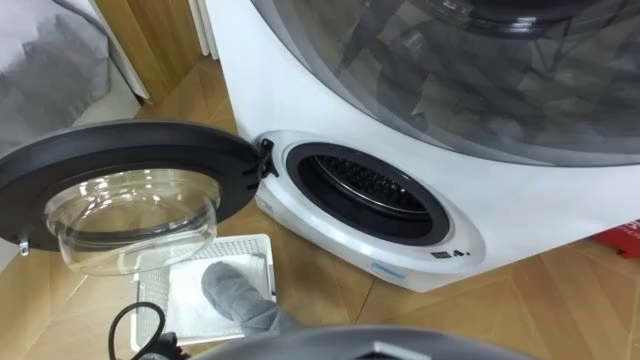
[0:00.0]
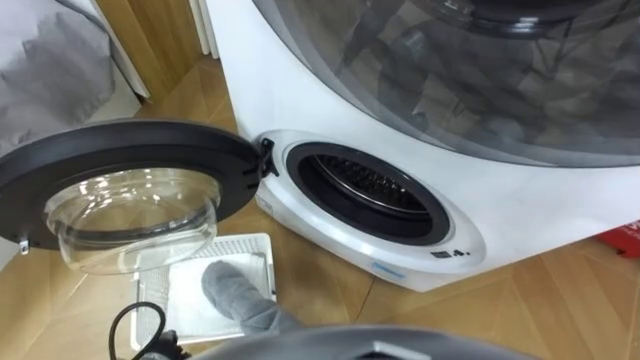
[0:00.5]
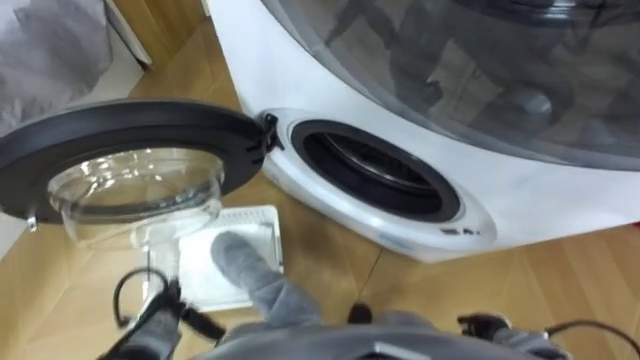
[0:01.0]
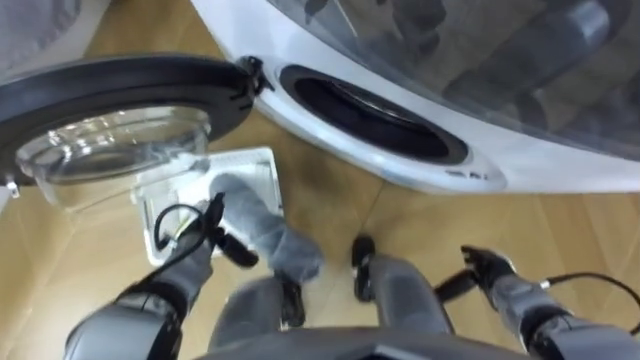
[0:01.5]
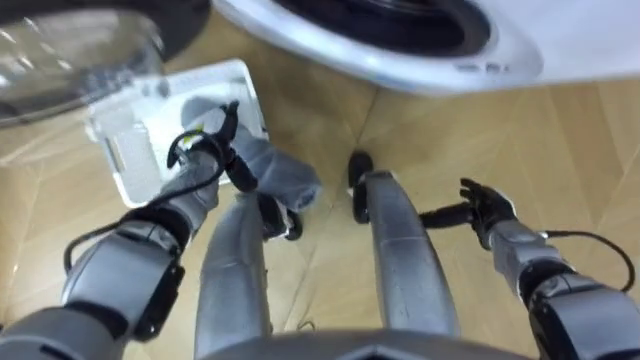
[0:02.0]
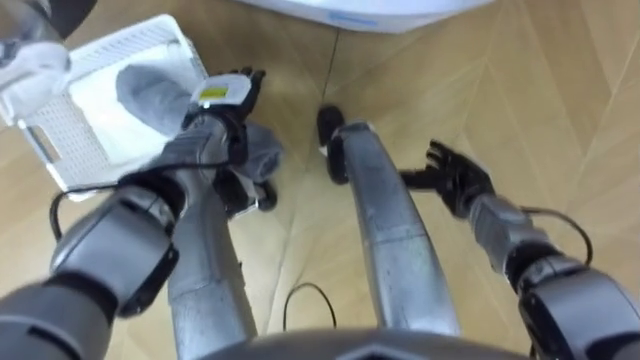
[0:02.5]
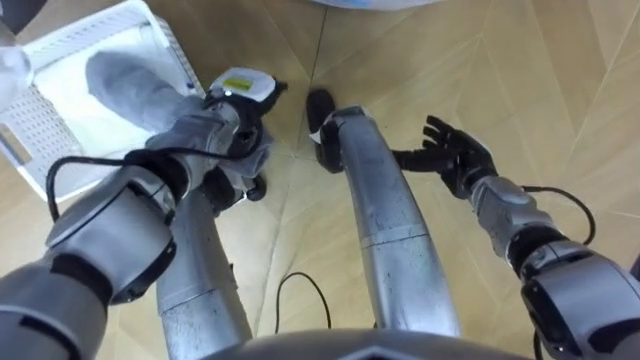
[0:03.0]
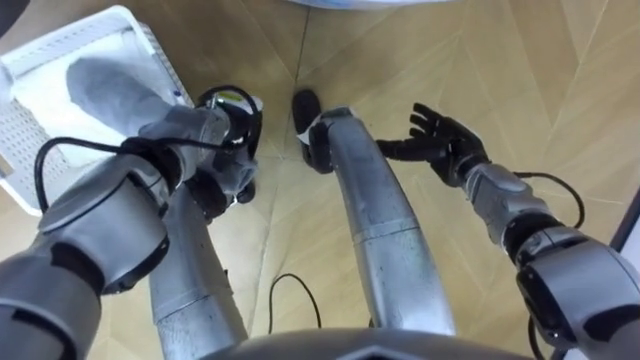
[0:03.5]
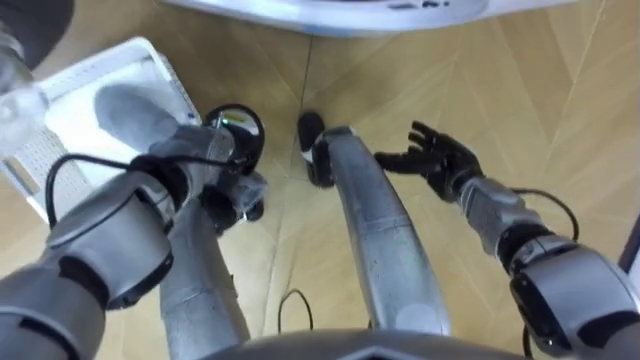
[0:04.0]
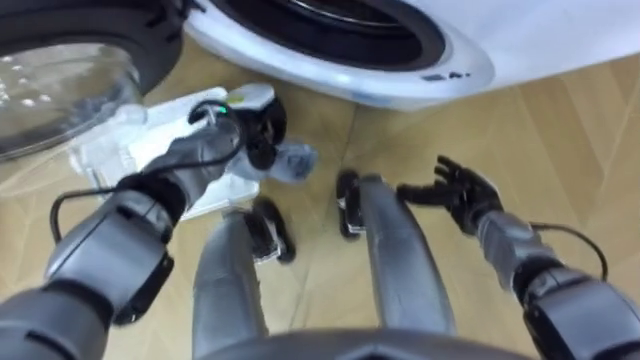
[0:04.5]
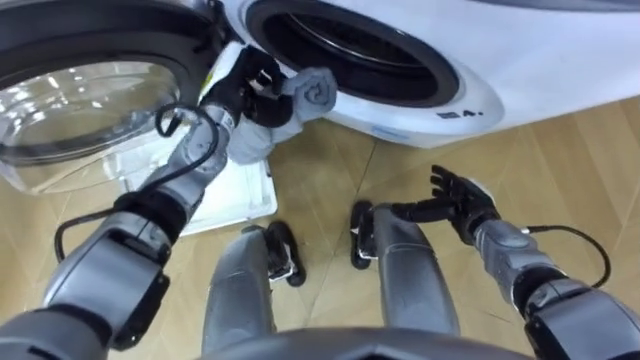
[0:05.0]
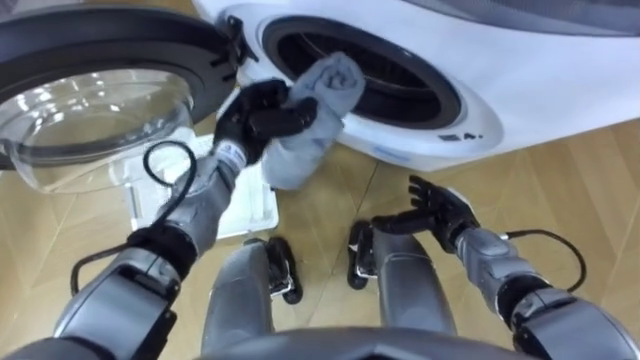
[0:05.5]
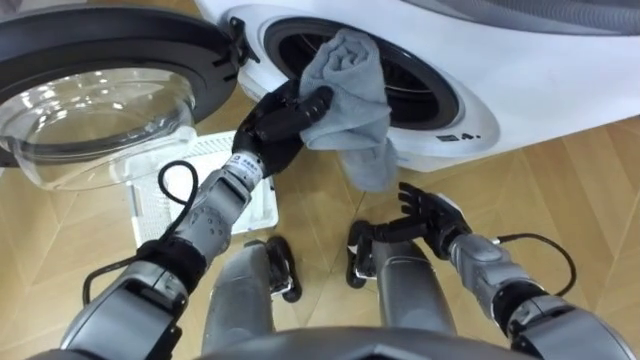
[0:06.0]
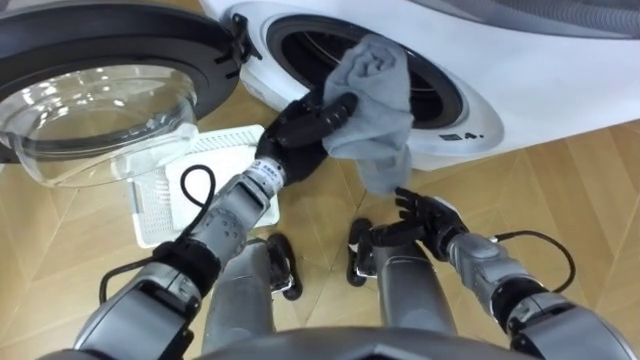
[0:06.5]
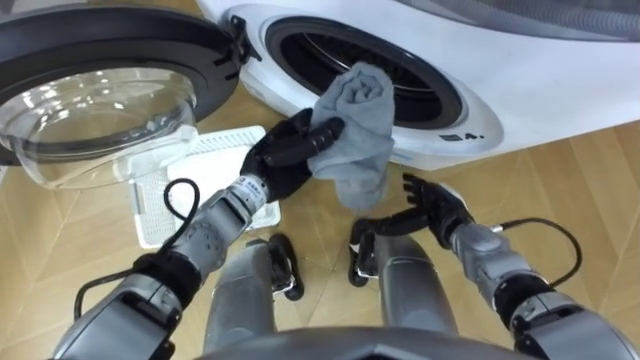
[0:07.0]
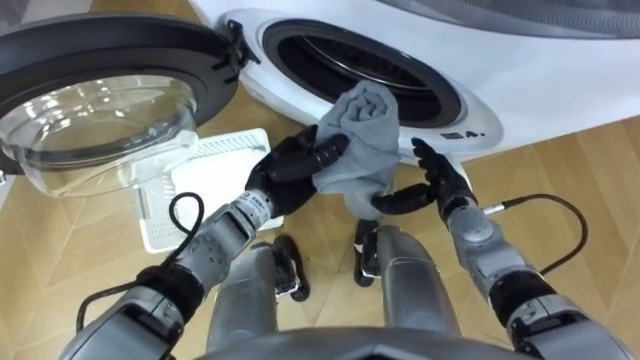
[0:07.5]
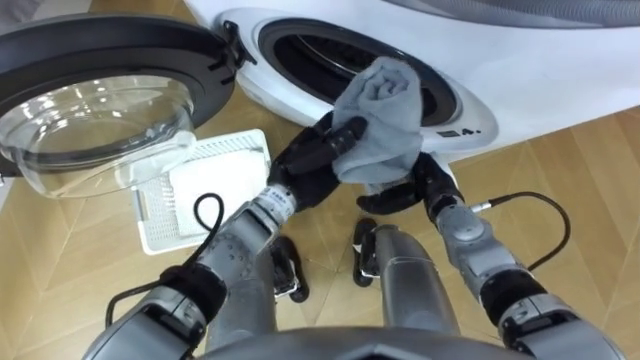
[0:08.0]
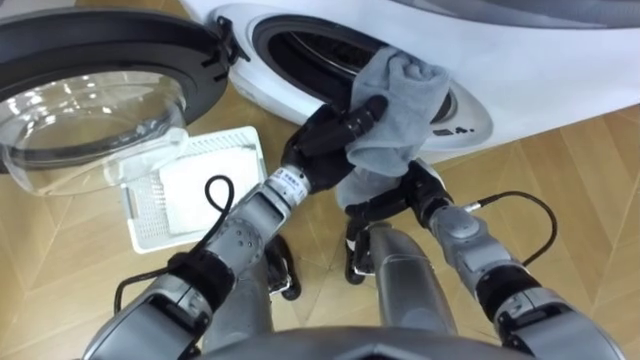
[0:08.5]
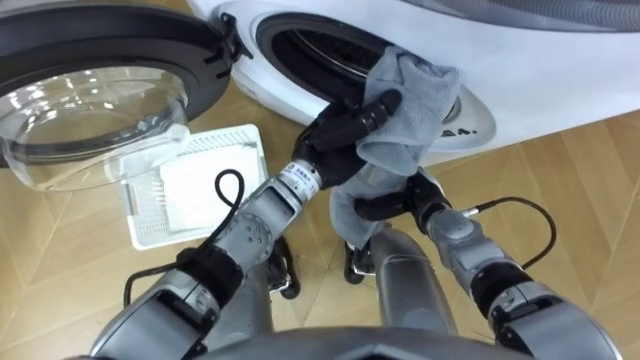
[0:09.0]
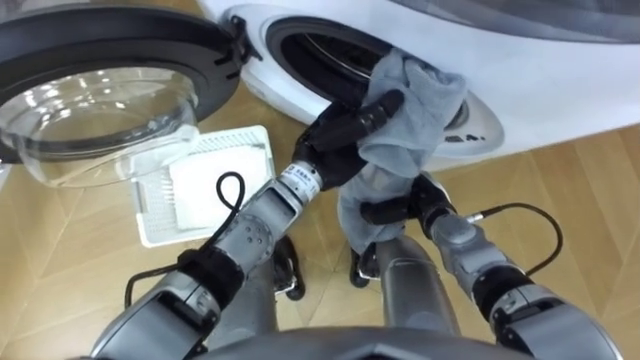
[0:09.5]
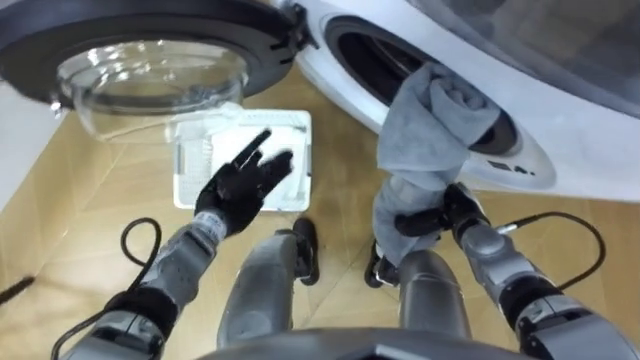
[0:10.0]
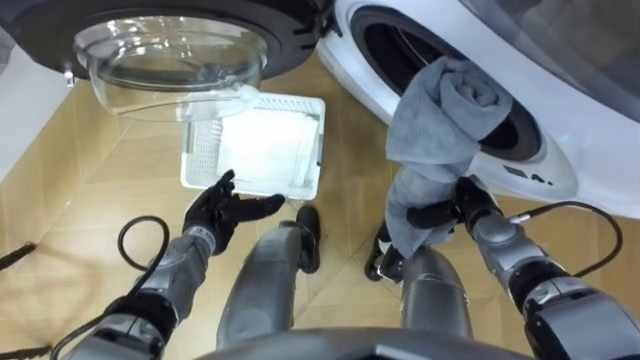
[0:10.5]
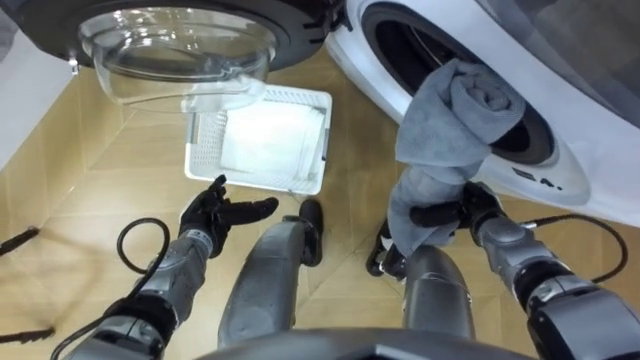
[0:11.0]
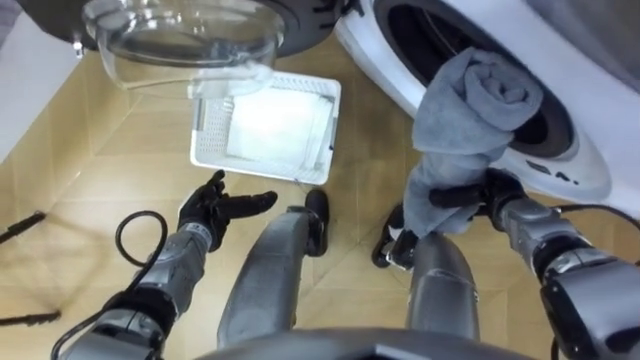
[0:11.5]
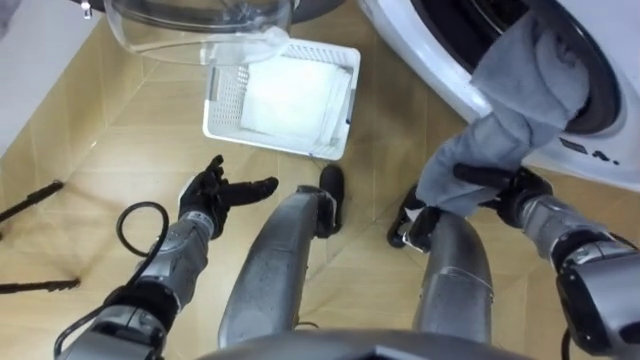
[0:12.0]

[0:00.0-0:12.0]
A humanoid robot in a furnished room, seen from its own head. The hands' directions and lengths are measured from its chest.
Task of the whole recording: Take the towel from the basket and put it into the washing machine.
0:02.0 to 0:04.0: The right hand heads to the left and forward, covering about 10 cm, while the left hand closes its fingers.
0:04.0 to 0:06.0: The right hand shifts roughly 10 cm backward, while the left hand goes roughly 10 cm to the right and upward.
0:06.0 to 0:08.0: The right hand ends up about 5 cm from where it was; the left hand shifts by about 5 cm.
0:08.0 to 0:10.0: The right hand ends up approximately 5 cm from where it was, and closes its fingers. Meanwhile the left hand moves to the left and downward, roughly 15 cm, and opens its fingers.
0:10.0 to 0:12.0: The right hand travels to the right by roughly 10 cm; the left hand shifts by roughly 5 cm.

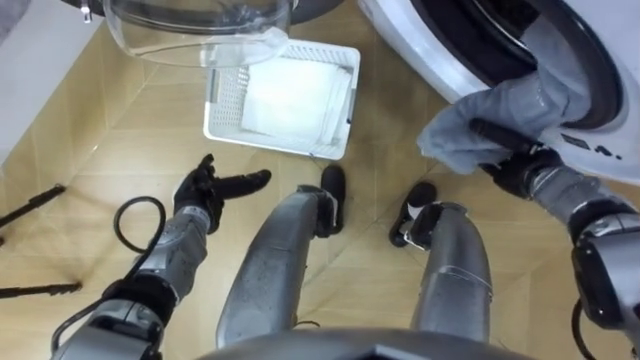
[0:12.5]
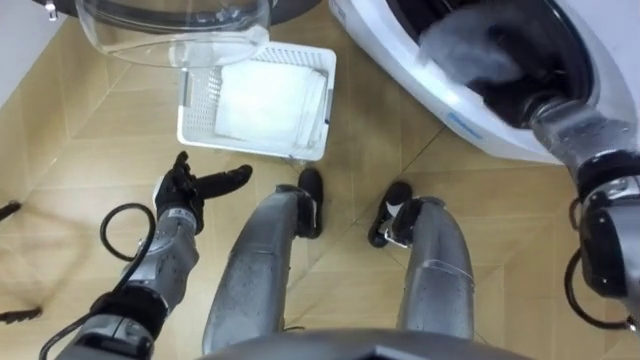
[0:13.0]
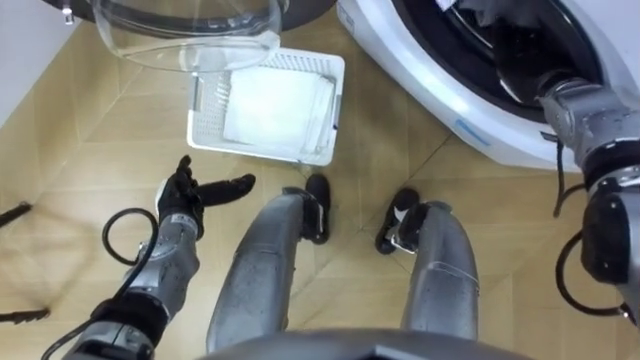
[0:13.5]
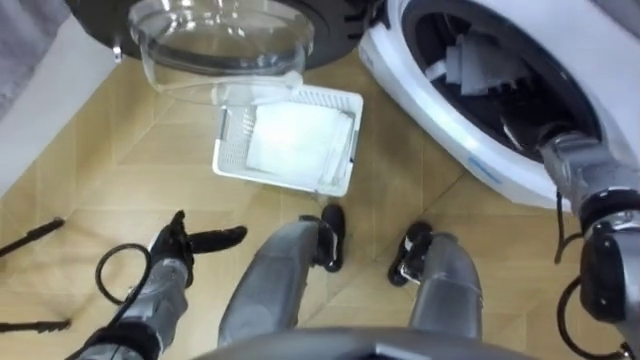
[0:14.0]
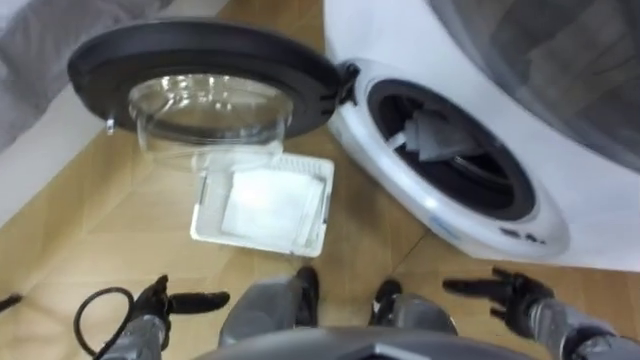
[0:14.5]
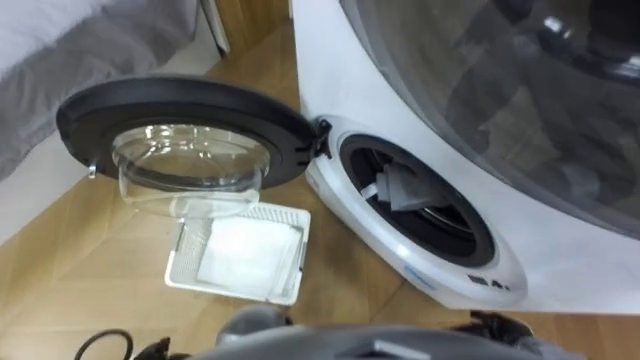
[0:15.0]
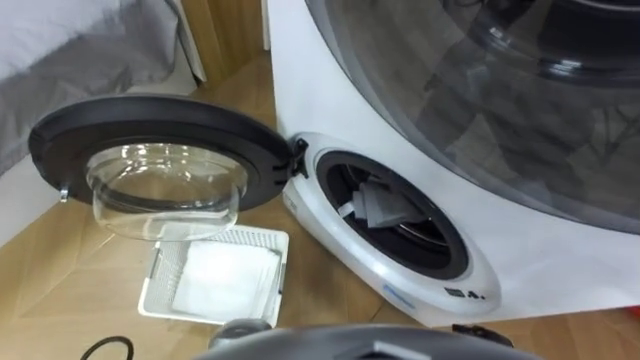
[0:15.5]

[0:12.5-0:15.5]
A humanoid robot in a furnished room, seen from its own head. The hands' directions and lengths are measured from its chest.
Task of the whole recording: Take the towel from the basket and put it into the washing machine.
0:12.5 to 0:14.0: The left hand goes some 5 cm backward. The right hand is displaced upward and forward by roughly 10 cm, and opens its fingers.
0:14.0 to 0:15.5: The right hand travels backward and downward by about 35 cm.

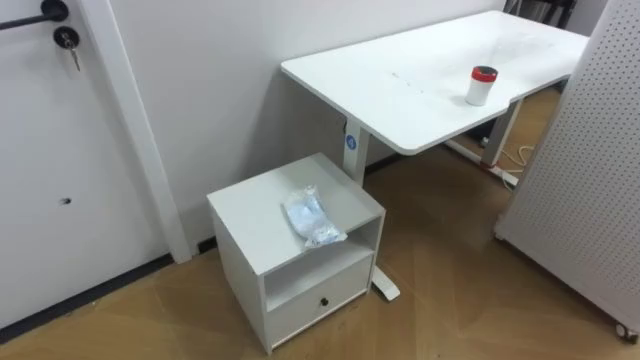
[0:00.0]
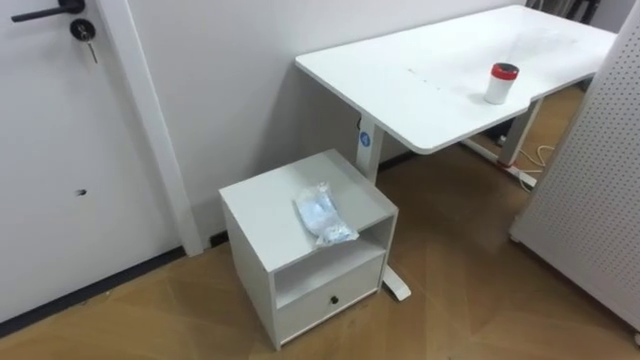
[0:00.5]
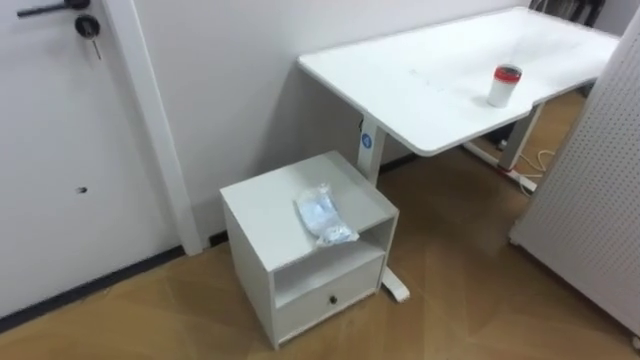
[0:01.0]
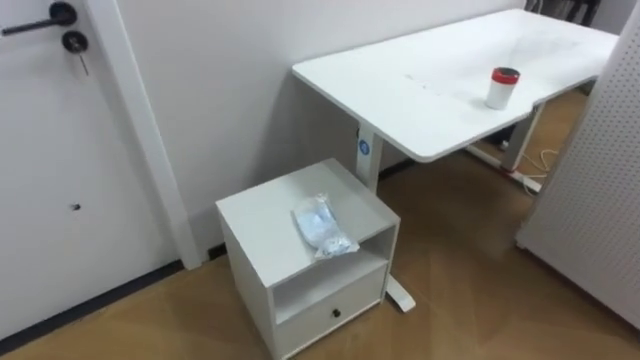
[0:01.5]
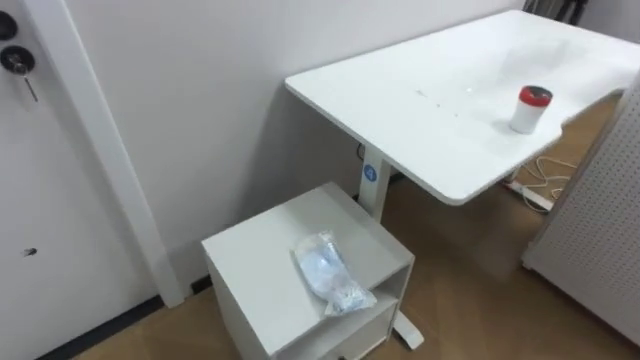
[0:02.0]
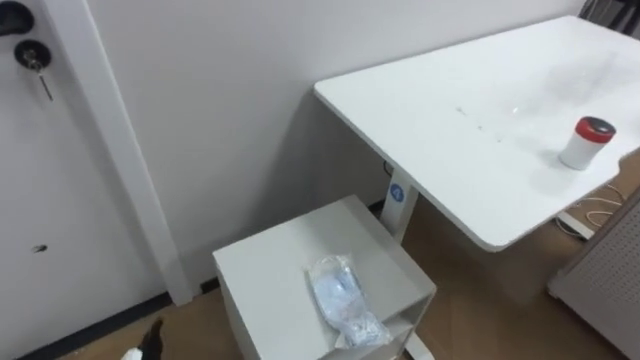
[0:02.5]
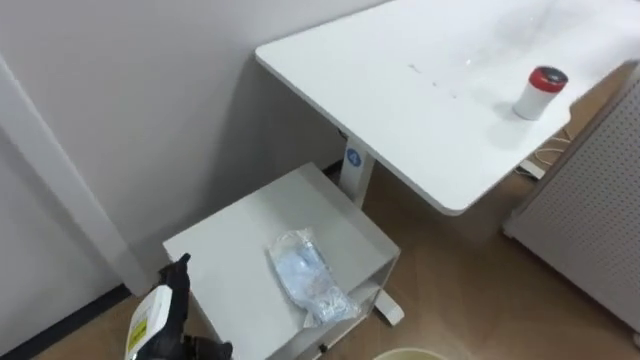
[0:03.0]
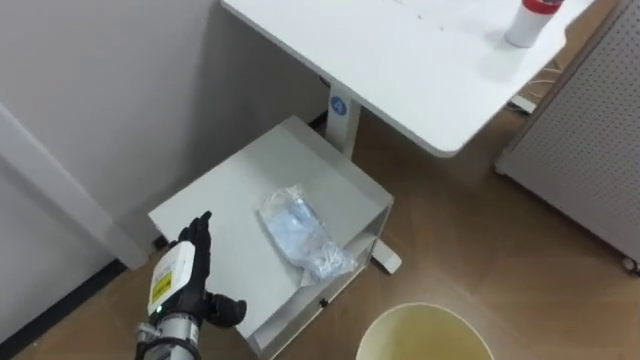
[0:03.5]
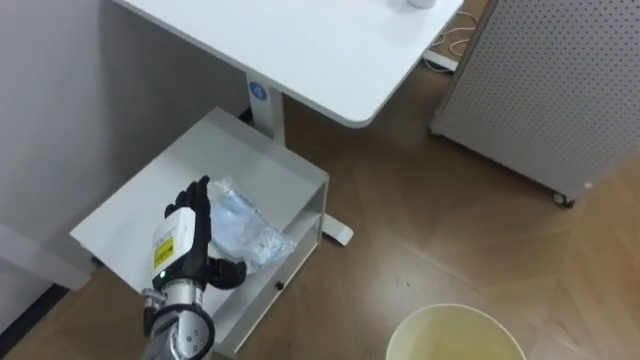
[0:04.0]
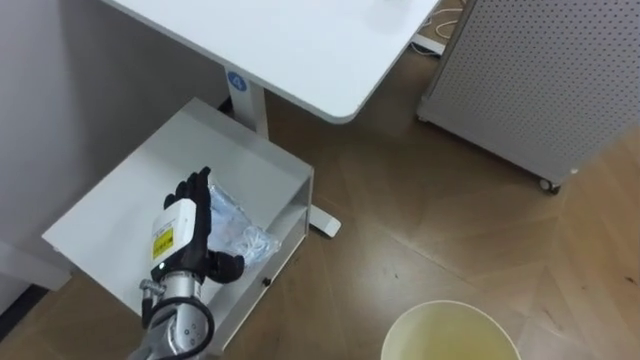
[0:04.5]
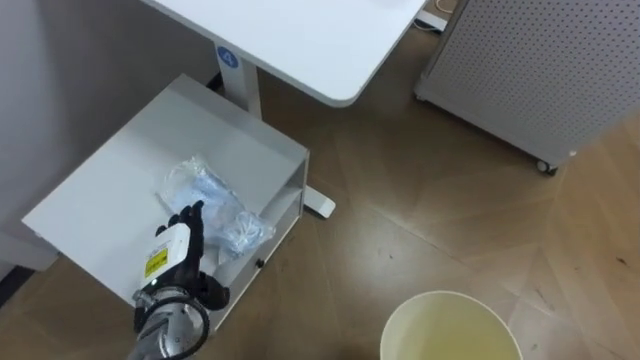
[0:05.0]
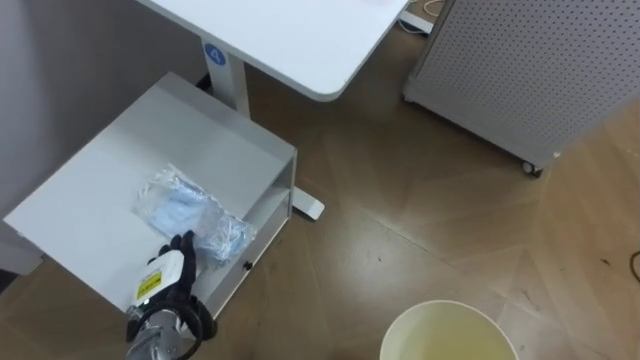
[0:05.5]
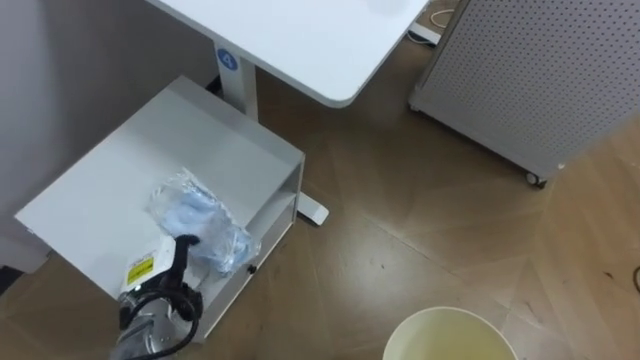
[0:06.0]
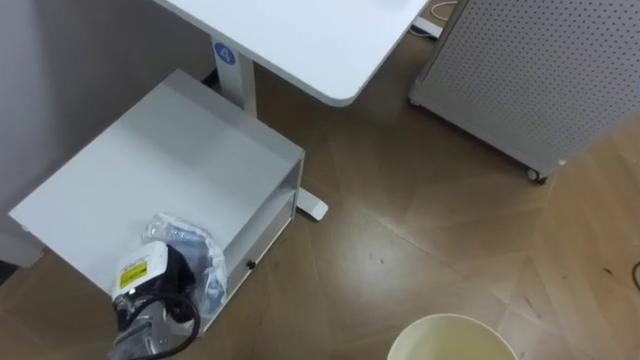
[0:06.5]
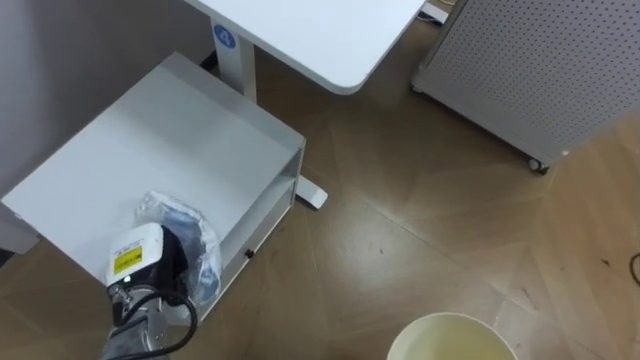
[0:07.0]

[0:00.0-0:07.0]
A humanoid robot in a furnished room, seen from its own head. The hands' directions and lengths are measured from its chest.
Task of the whole recording: Pick up the light blue package, the candy box, and the dark blue package separately, and put them into the trash can held in your right hand.
0:05.0 to 0:07.0: The left hand closes its fingers.
